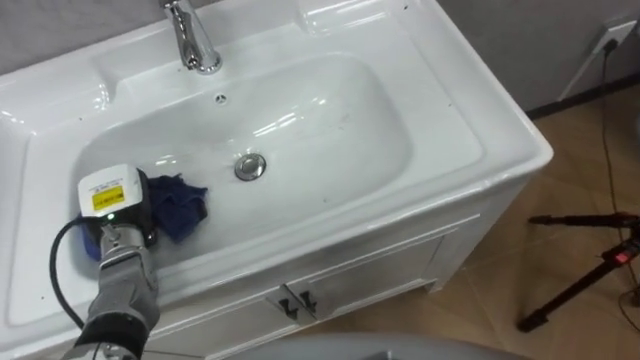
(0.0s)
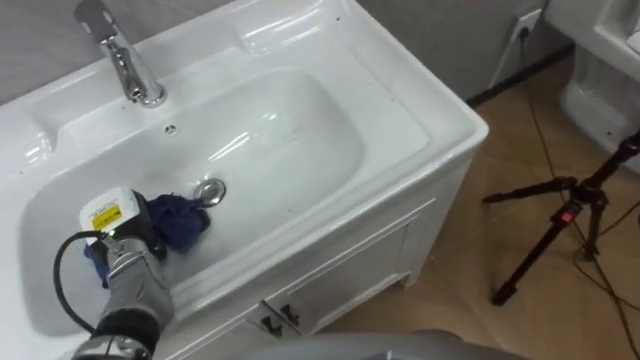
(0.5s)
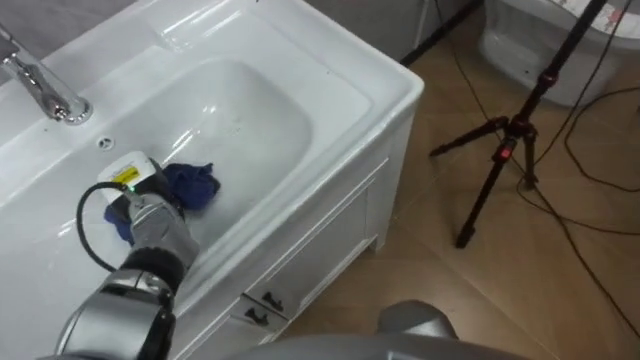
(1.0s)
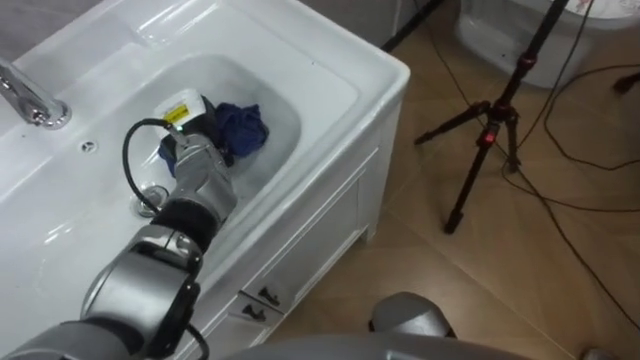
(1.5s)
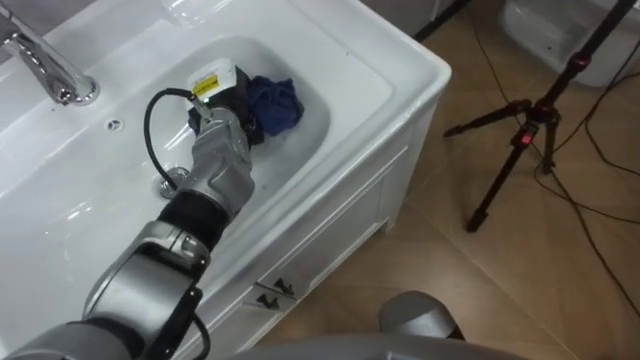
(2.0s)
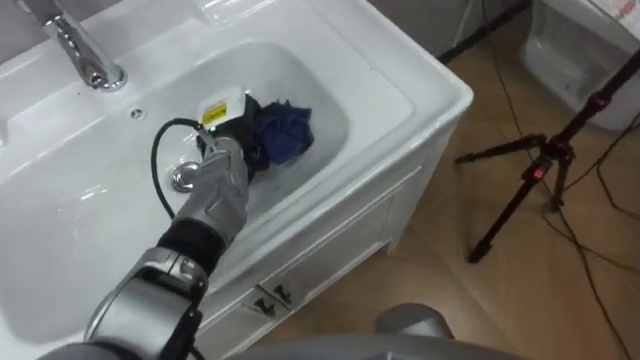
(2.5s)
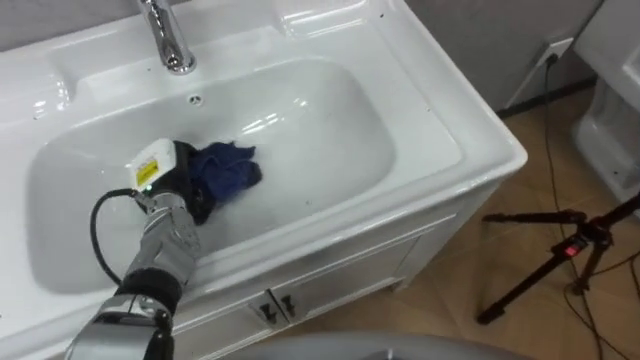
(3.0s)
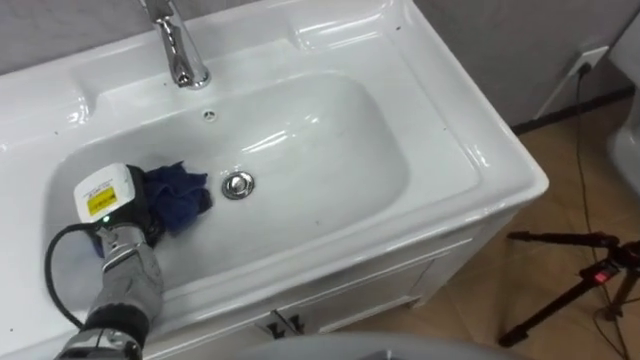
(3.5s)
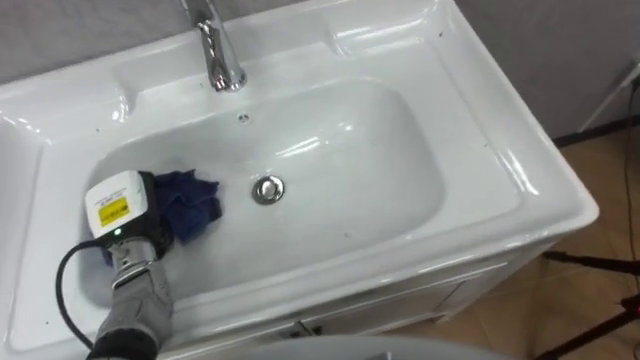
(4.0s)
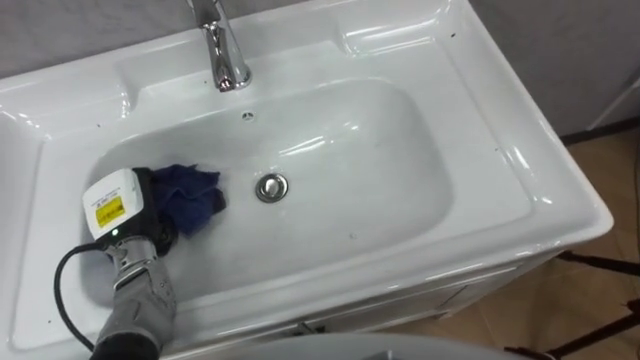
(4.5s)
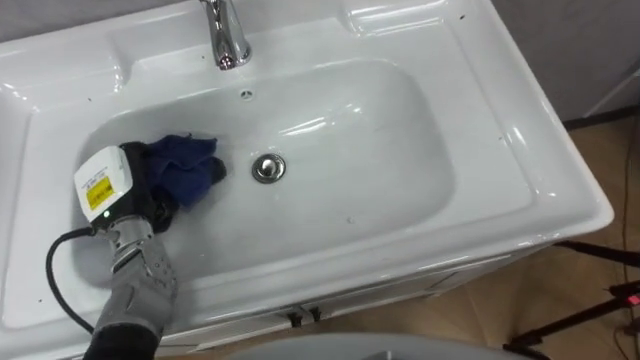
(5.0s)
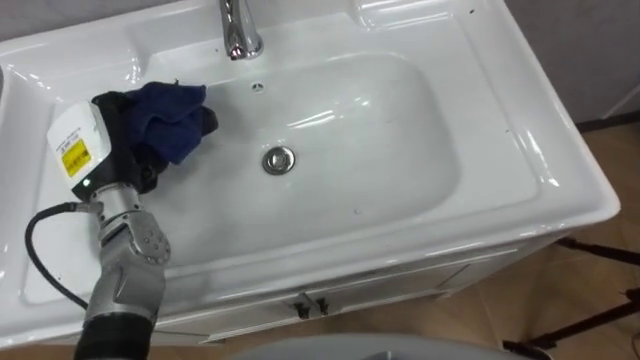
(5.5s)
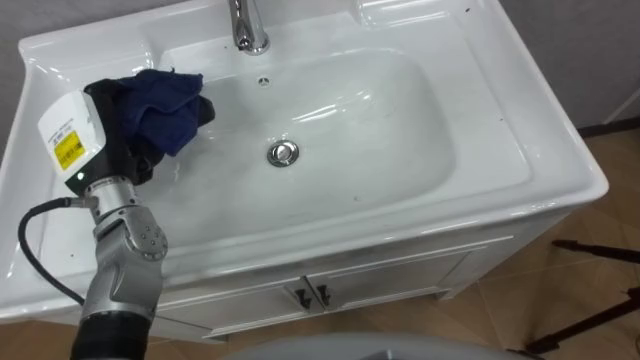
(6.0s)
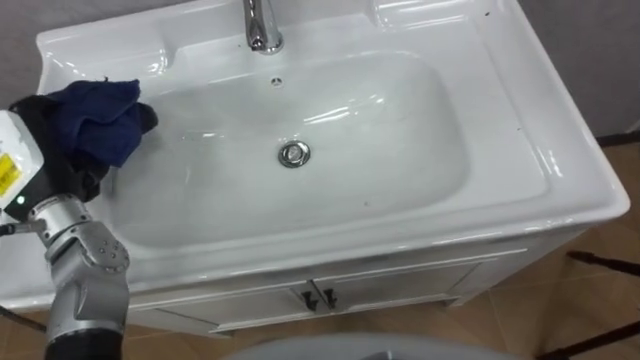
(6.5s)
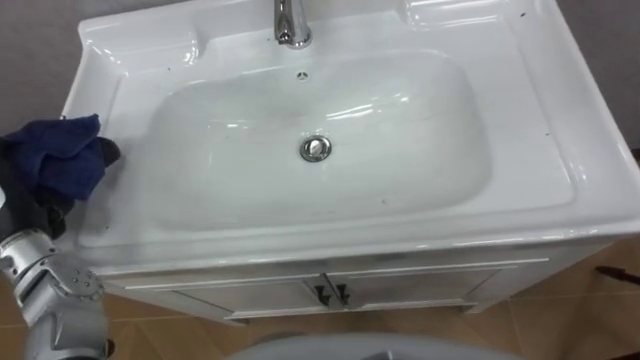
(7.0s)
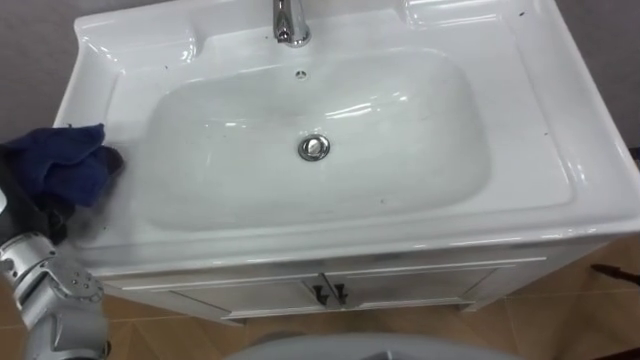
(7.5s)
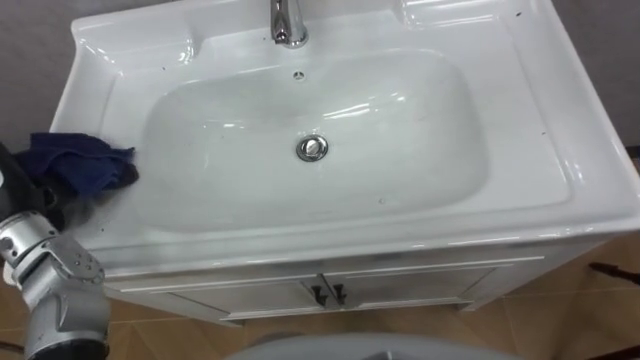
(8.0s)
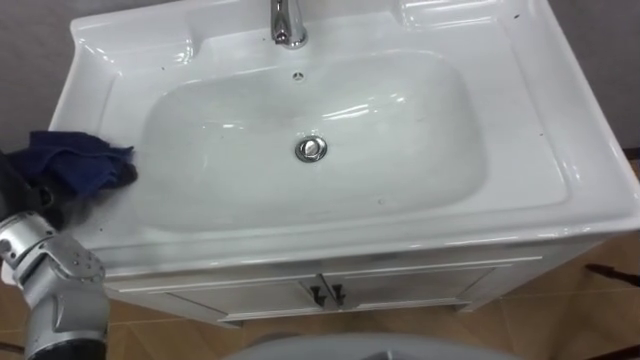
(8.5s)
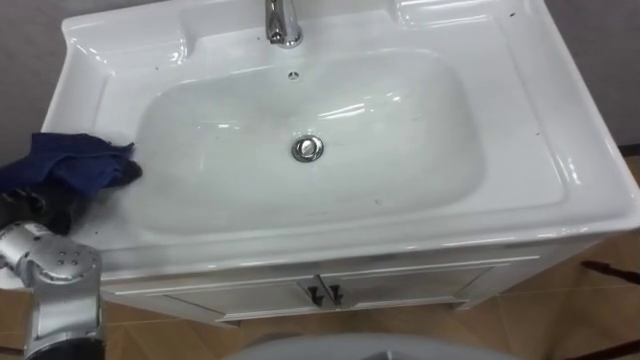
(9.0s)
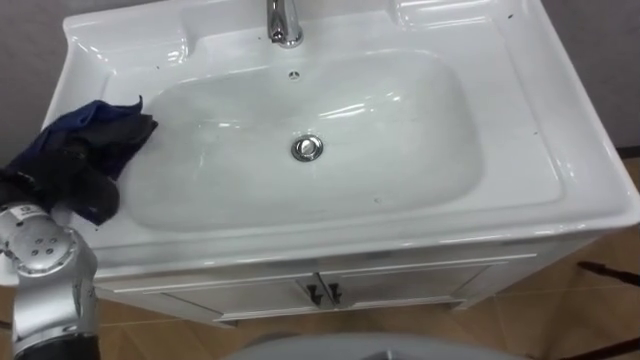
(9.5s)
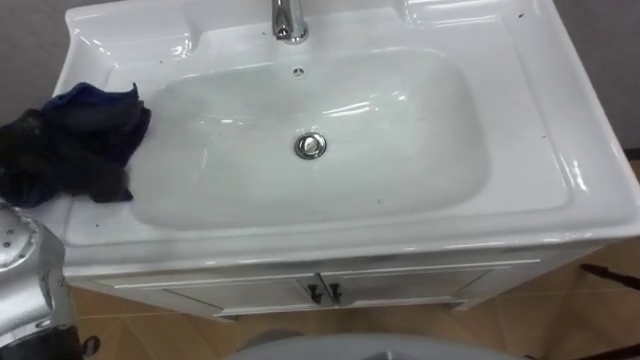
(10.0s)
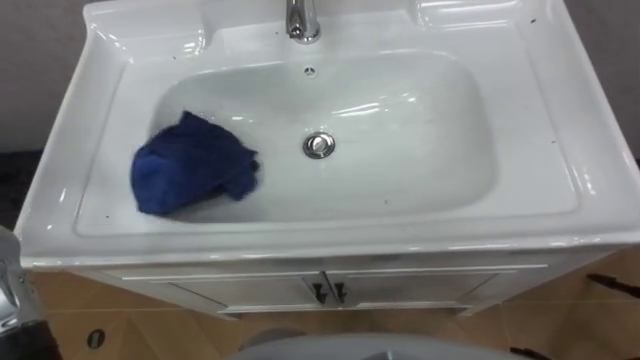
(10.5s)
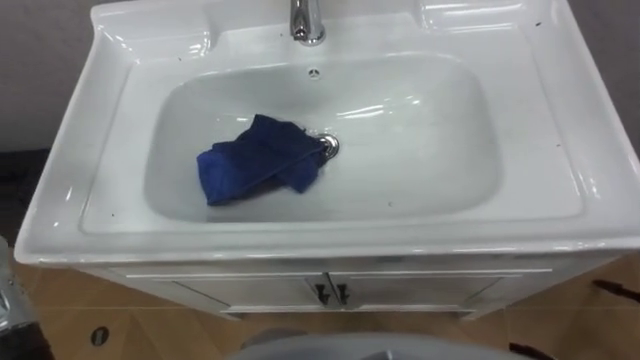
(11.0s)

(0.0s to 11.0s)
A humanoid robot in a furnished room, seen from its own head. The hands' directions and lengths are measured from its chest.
Task of the whole recording: Use the cloth on the right to wipe away the black stain in the sink.
0.0s - 2.0s: The left hand shifts approximately 25 cm to the right, forward and upward.
2.0s - 3.5s: The left hand goes some 25 cm to the left, backward and downward.
3.5s - 5.5s: The left hand is displaced upward by about 10 cm.

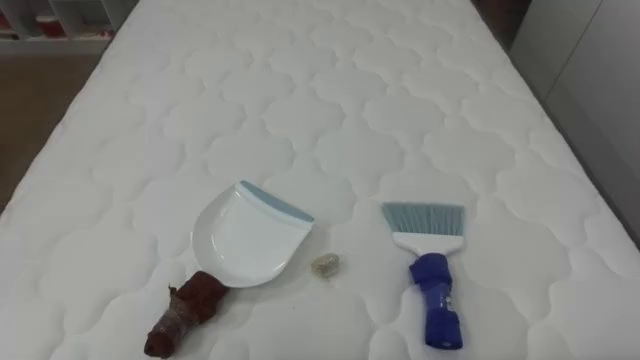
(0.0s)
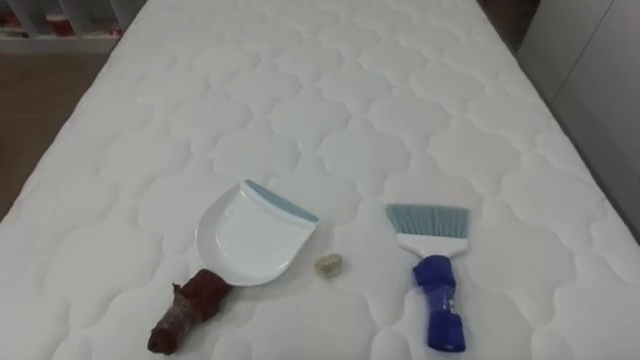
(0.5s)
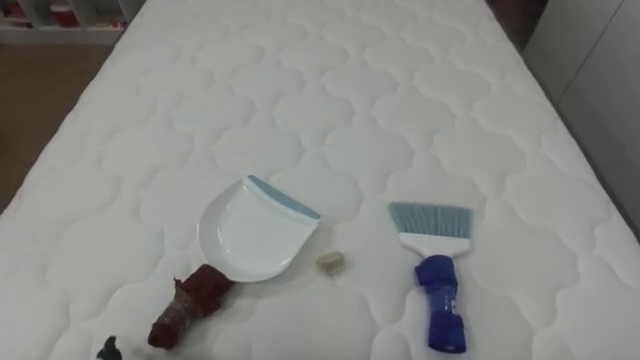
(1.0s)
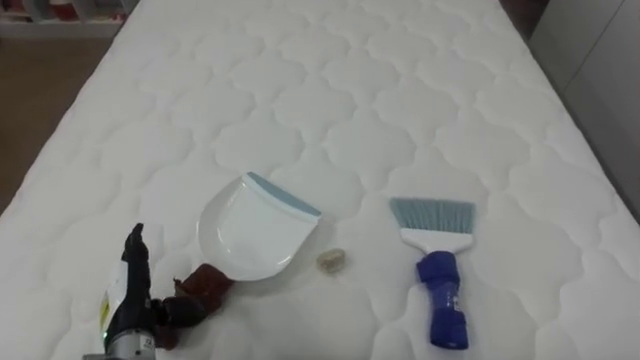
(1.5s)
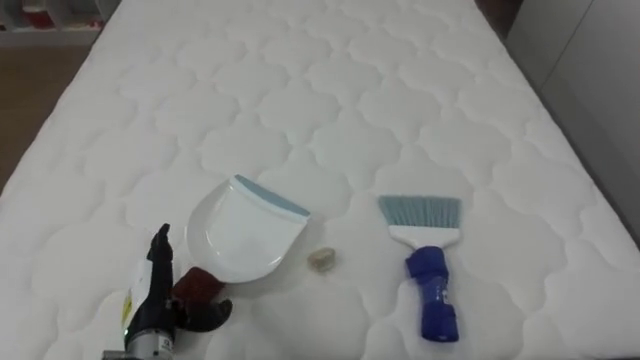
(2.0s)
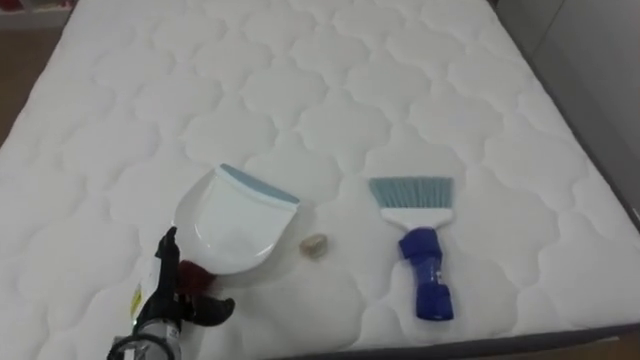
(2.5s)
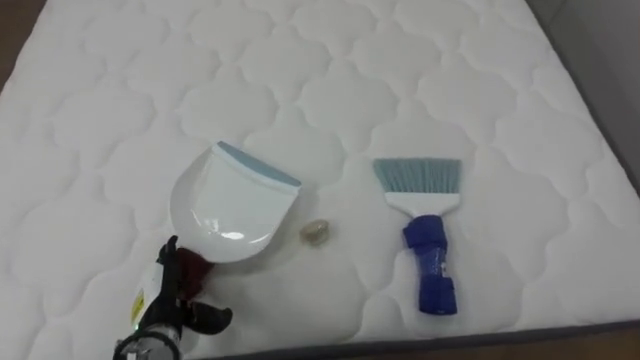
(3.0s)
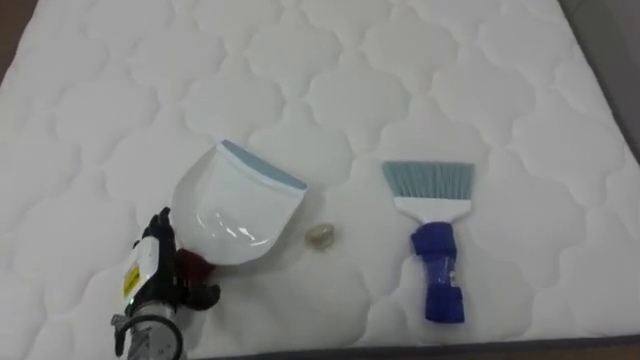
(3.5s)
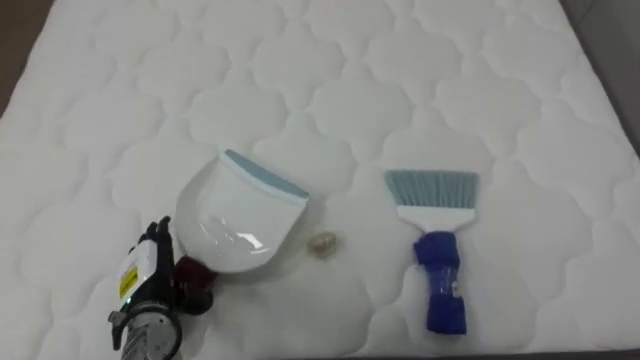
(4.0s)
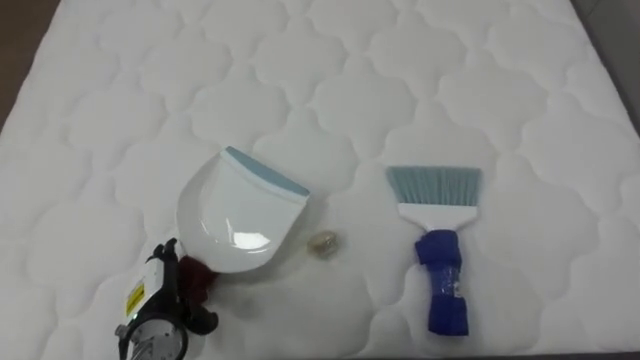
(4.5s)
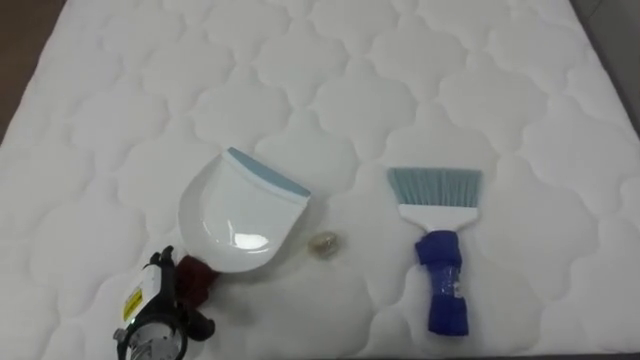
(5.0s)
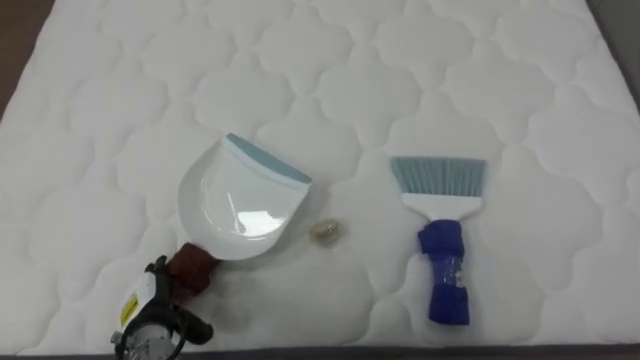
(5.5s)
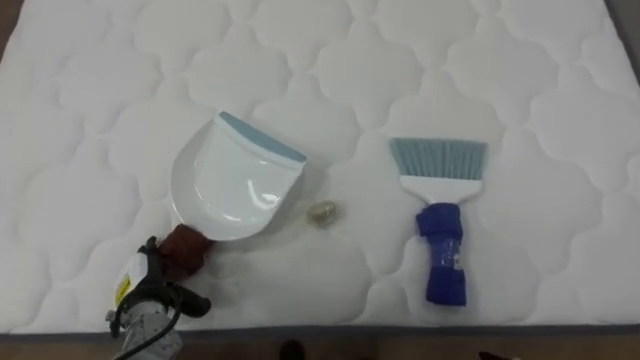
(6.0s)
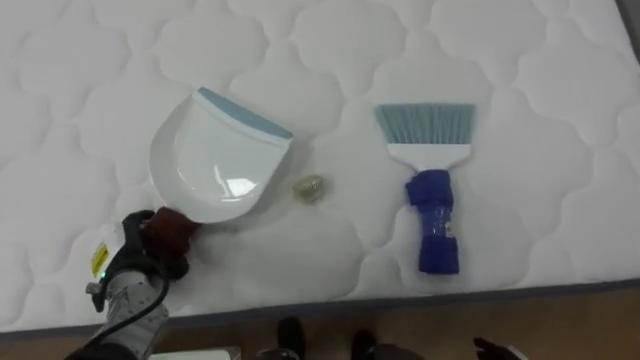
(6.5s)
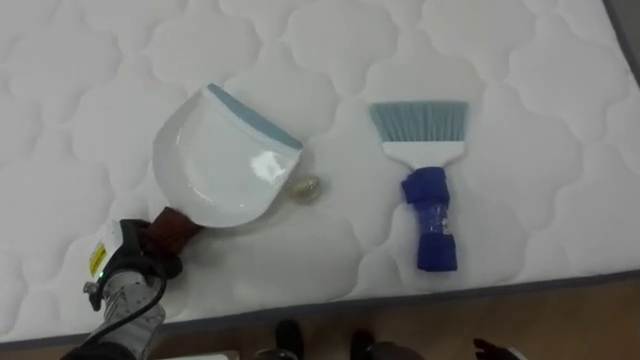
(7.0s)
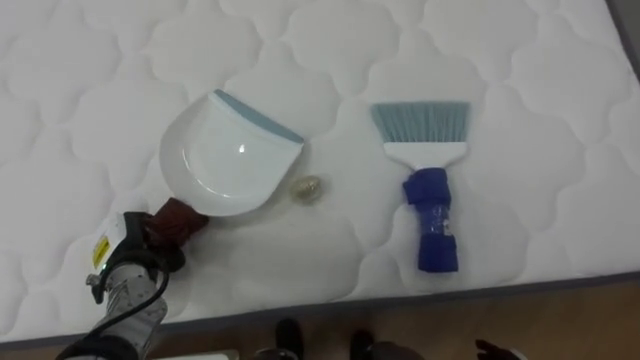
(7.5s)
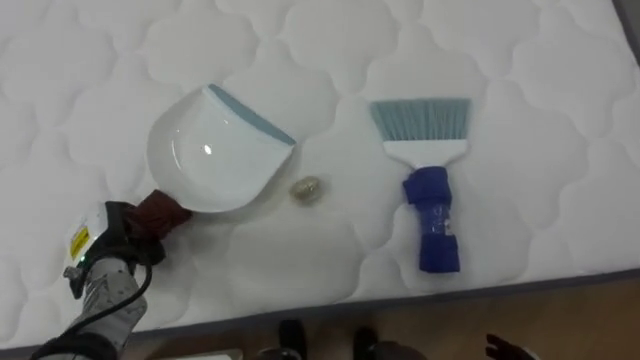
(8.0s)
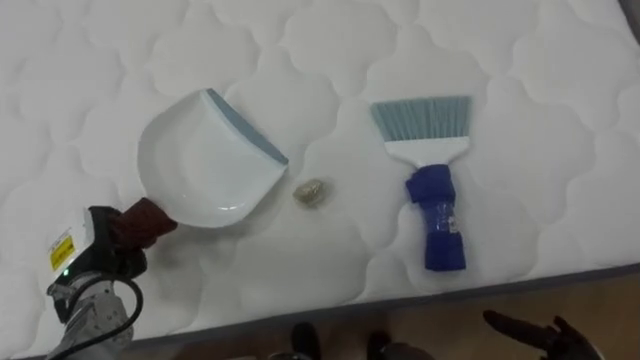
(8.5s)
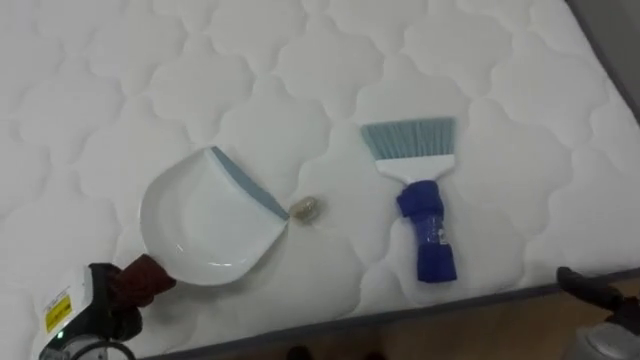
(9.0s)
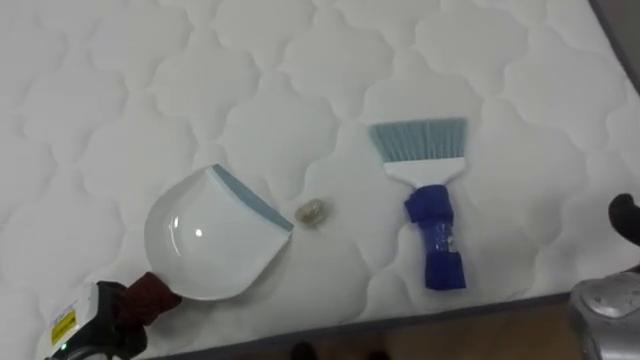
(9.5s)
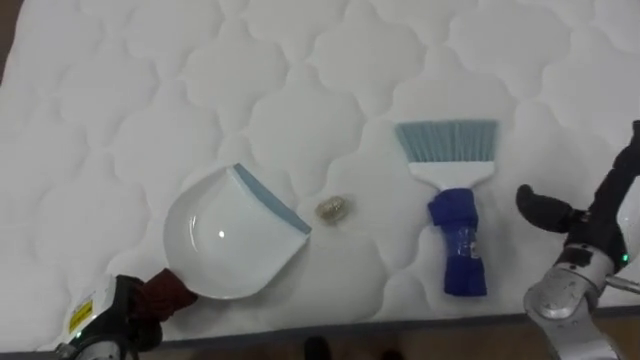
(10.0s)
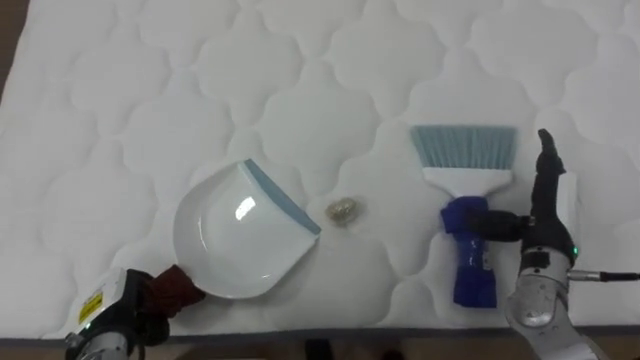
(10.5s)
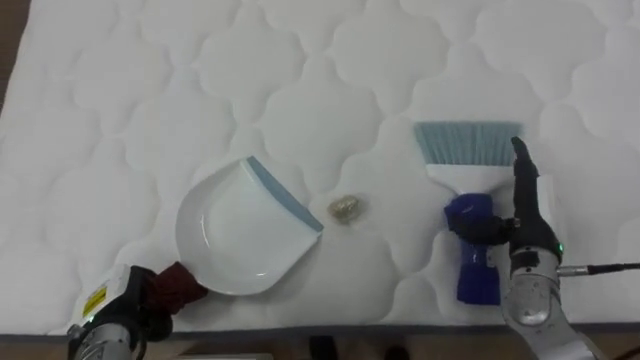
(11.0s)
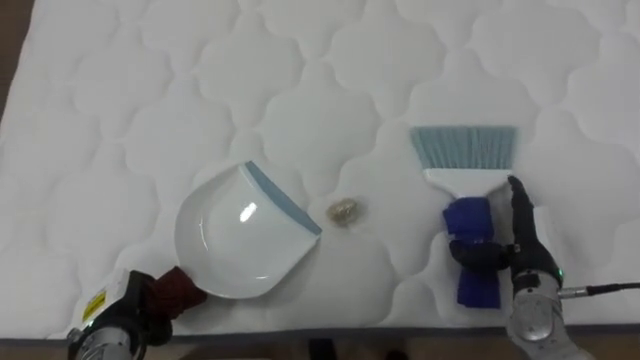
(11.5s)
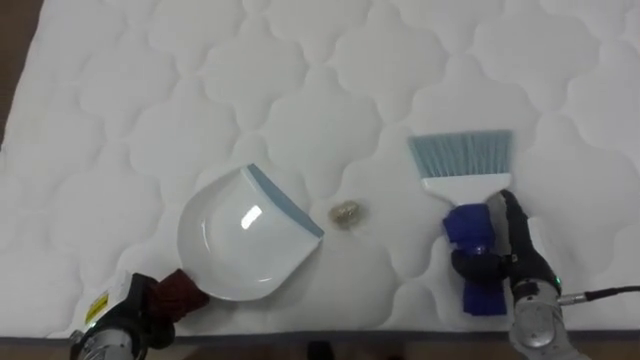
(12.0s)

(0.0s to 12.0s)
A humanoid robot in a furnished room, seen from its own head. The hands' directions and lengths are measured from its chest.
Task of the whole recording: Pick up the brush on your right and the dustpan on your left. Use the brush to sweep the crumpled paper on the bed into the dustpan, then turn left and empty it into the basket.
6.0s - 8.0s: The left hand is displaced upward by roughly 5 cm, and closes its fingers.
8.0s - 10.0s: The left hand heads backward and downward, covering about 10 cm.
10.0s - 12.0s: The right hand goes approximately 10 cm downward and to the left.
